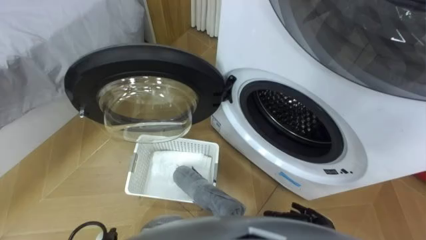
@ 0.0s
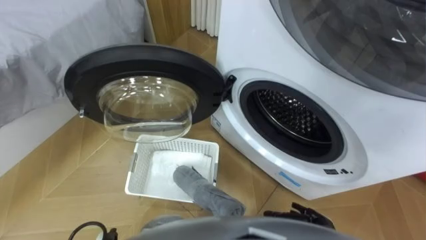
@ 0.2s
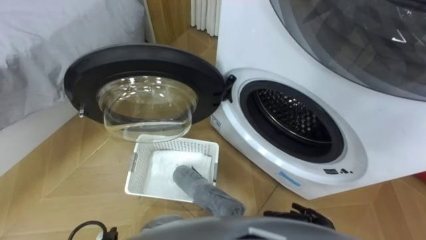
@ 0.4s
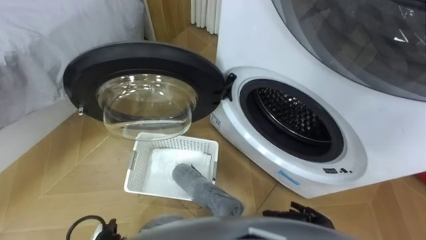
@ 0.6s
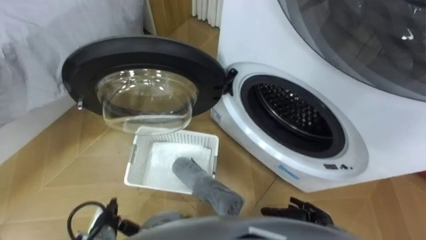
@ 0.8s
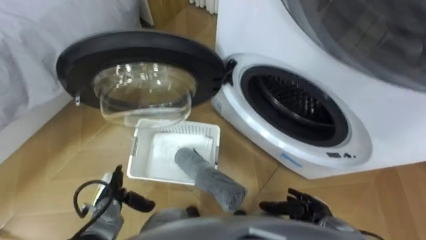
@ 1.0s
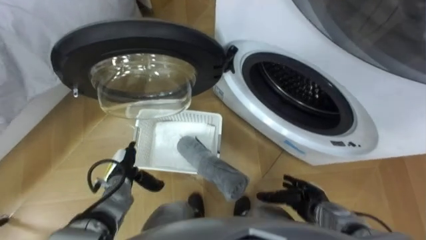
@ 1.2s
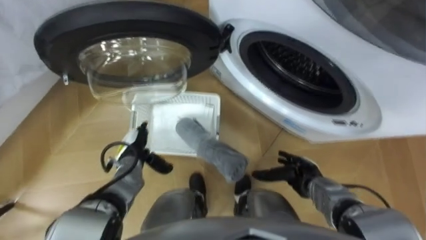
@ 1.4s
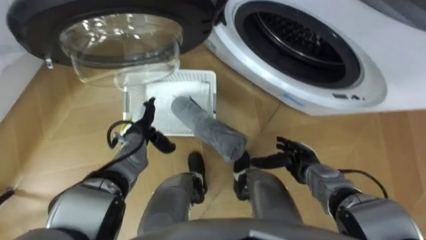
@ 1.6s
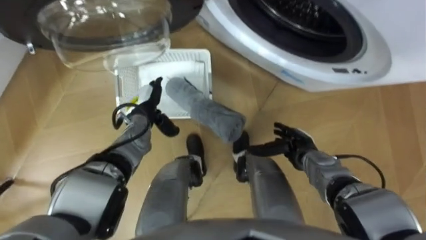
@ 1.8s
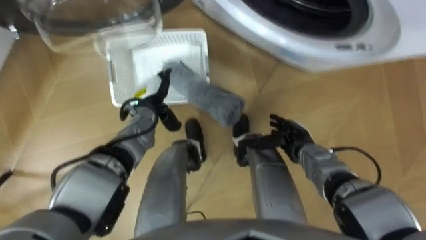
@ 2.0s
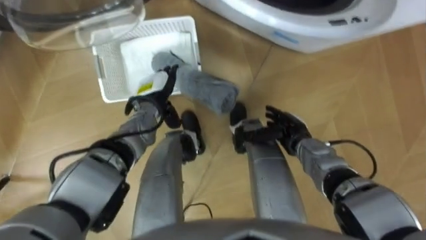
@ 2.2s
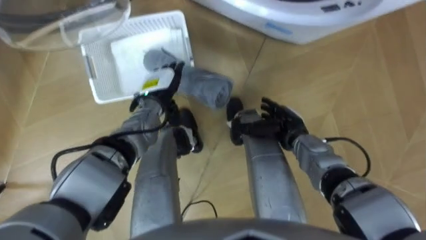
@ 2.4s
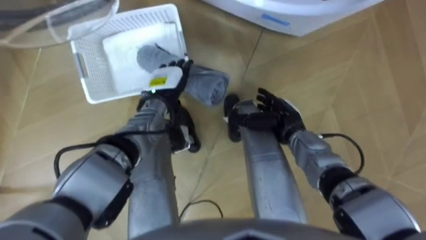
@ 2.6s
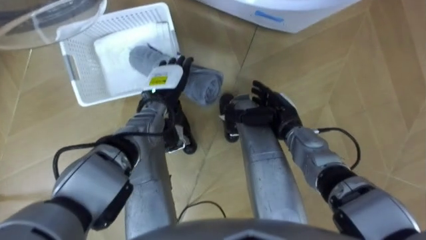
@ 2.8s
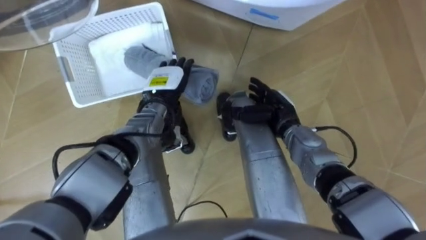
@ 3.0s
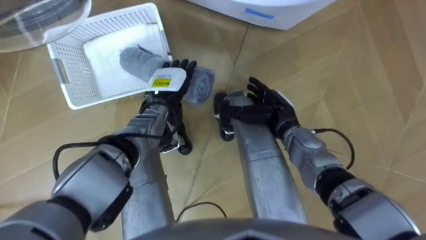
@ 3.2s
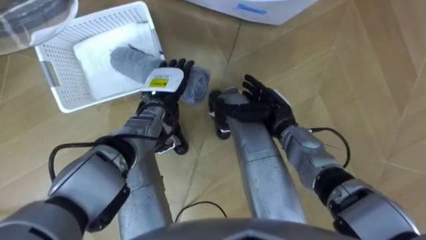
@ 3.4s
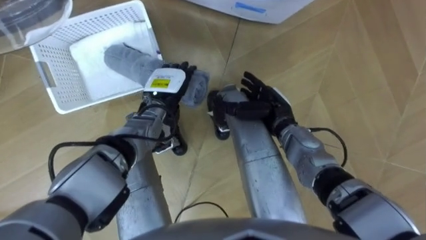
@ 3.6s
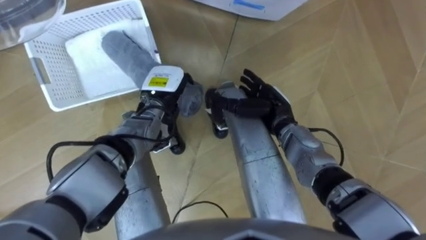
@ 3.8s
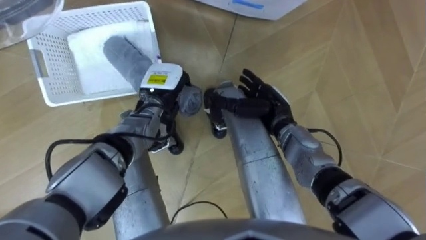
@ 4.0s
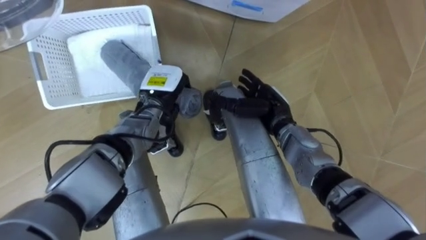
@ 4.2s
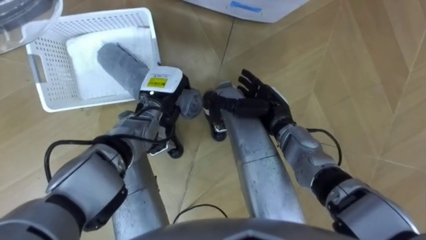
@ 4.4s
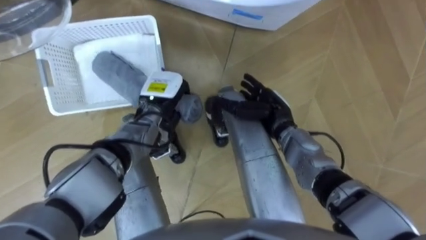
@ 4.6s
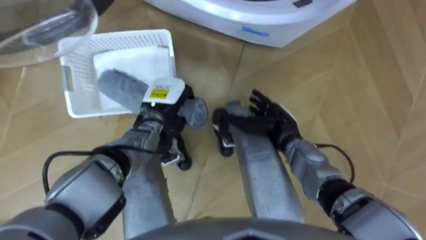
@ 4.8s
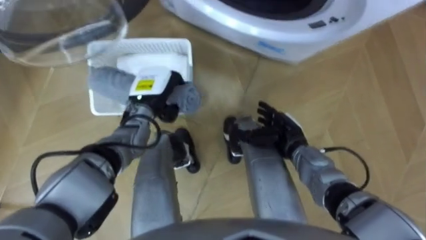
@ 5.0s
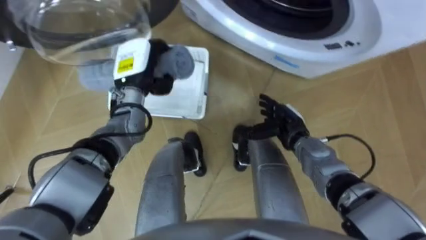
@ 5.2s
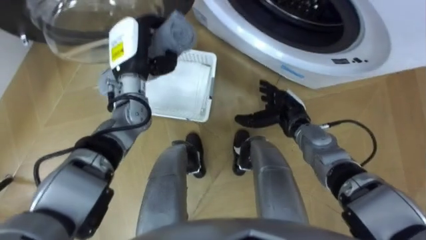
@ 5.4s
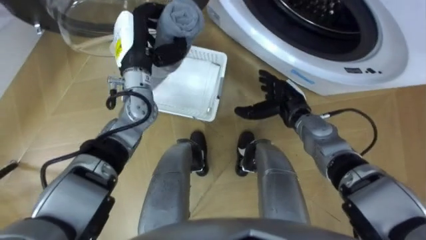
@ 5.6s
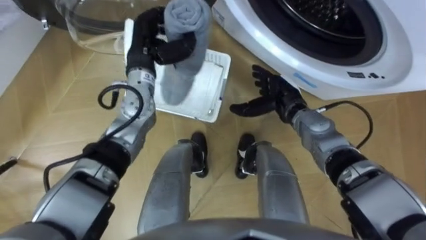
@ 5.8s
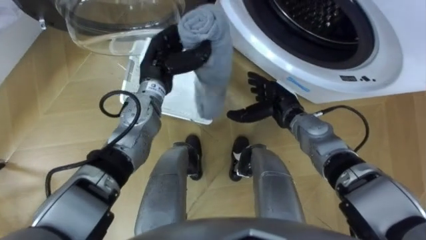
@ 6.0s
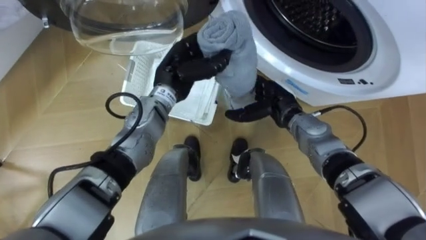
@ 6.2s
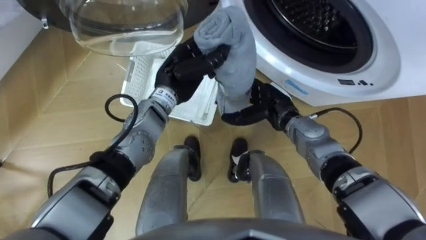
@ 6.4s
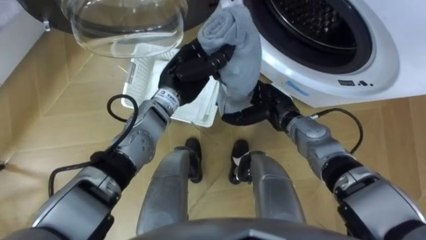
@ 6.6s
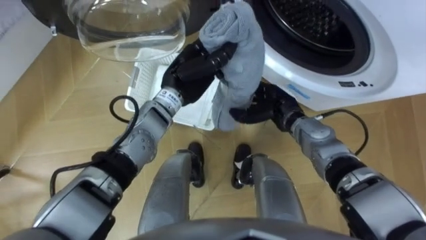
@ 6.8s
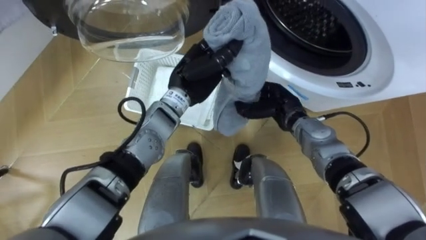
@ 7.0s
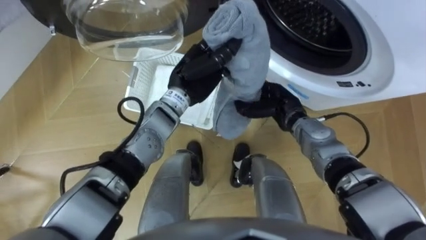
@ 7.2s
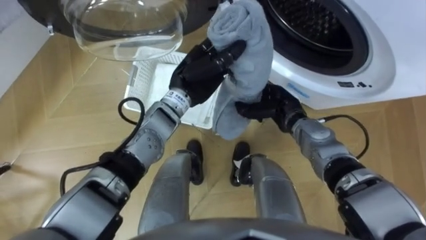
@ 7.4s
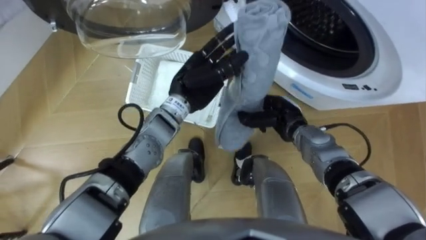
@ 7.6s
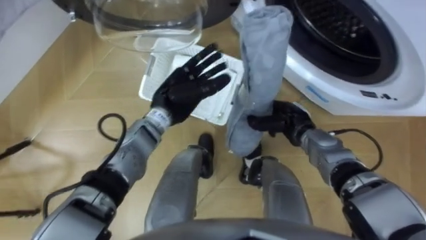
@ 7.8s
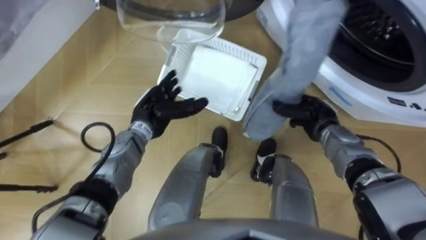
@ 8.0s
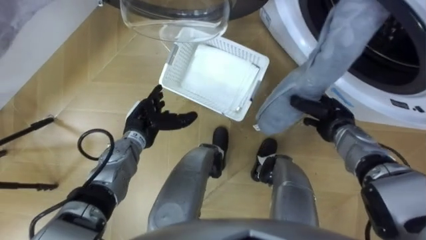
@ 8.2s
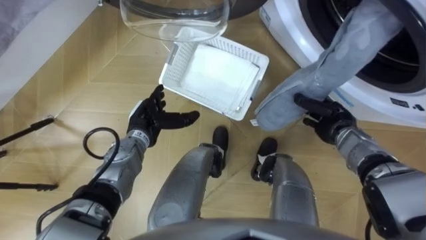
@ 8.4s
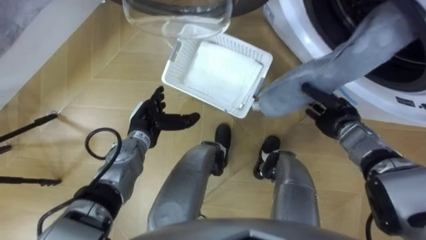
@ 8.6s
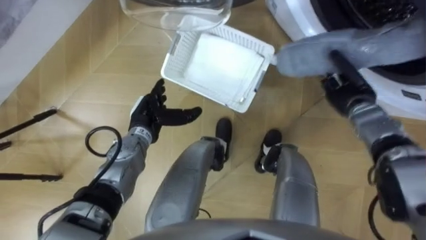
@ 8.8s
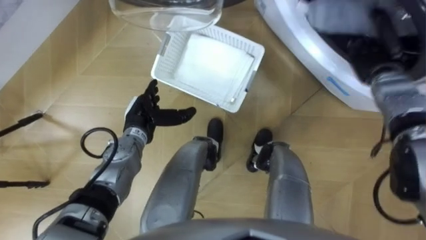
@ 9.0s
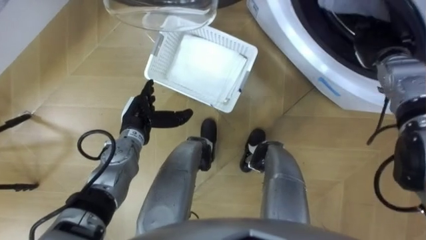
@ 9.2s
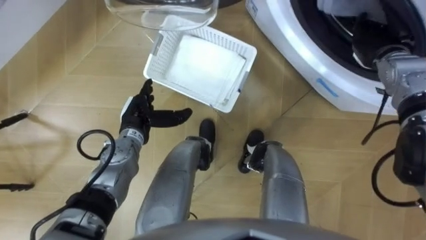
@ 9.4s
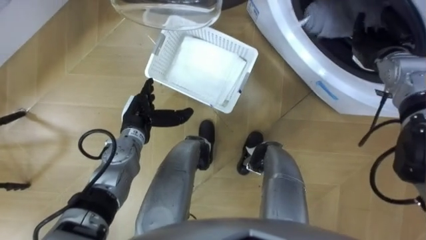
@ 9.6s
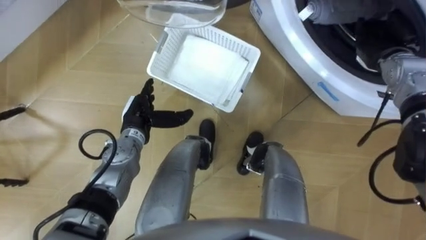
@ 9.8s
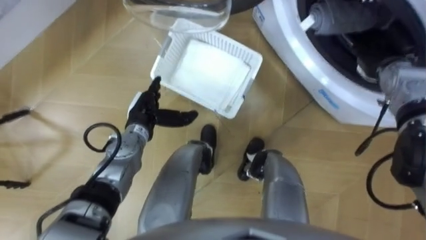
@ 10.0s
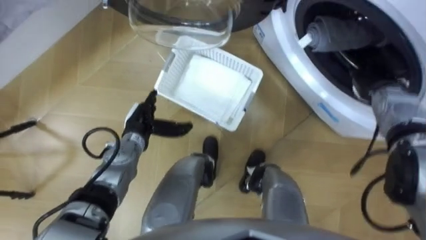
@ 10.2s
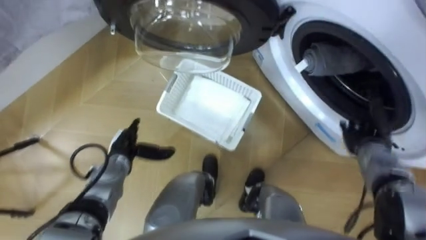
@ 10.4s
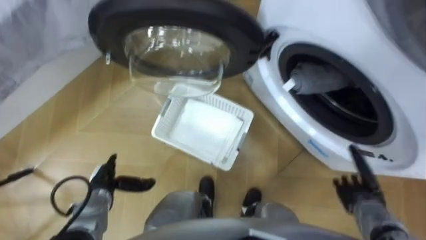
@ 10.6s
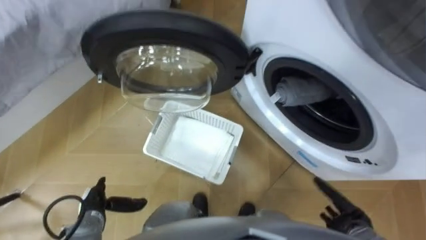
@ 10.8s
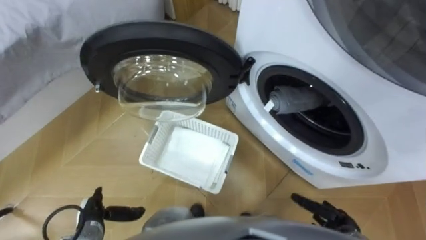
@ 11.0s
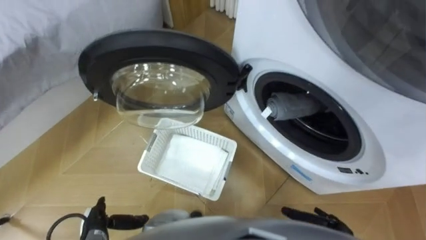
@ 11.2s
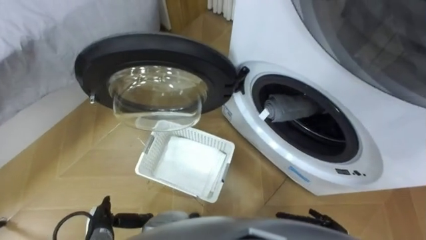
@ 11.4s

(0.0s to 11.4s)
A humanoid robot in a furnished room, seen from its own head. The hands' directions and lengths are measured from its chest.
Task of the whole recording: Take the towel from the basket and put it into the washing machine.
1.4s - 2.8s: The right hand is displaced forward, upward and to the left by about 15 cm; the left hand travels forward, upward and to the right by approximately 20 cm.
2.8s - 4.2s: The left hand closes up.
4.2s - 5.6s: The left hand goes about 10 cm upward.
5.6s - 7.2s: The right hand closes its fingers. Meanwhile the left hand goes approximately 10 cm to the right.
7.2s - 8.6s: The left hand moves downward, to the left and backward, roughly 20 cm, and opens its fingers. Meanwhile the right hand heads to the right, covering some 15 cm.
8.6s - 10.0s: The right hand is displaced upward, forward and to the right by about 15 cm, and opens.
10.0s - 11.4s: The left hand moves backward, downward and to the left, approximately 30 cm. The right hand goes approximately 40 cm backward and downward.

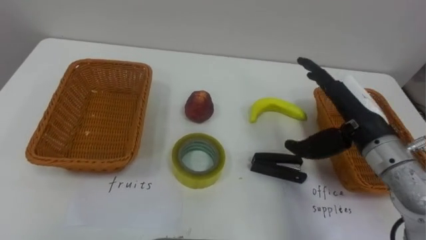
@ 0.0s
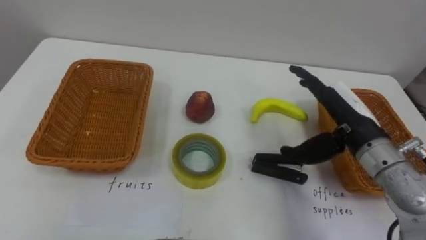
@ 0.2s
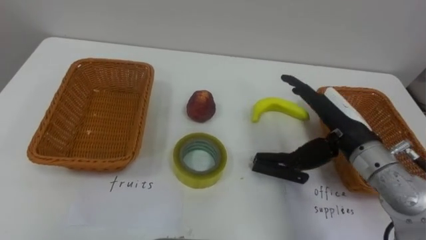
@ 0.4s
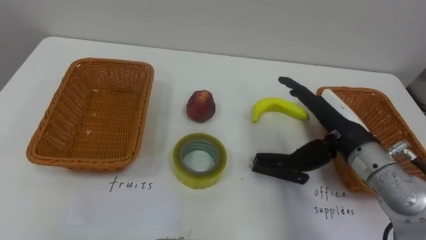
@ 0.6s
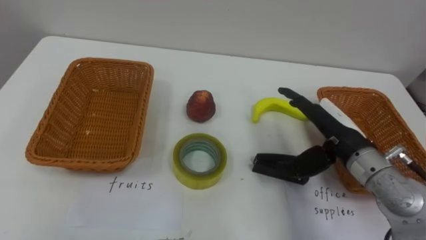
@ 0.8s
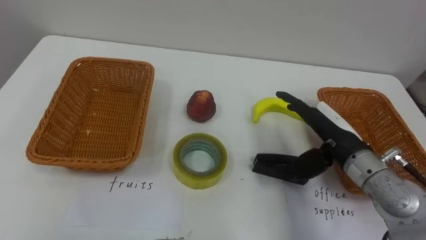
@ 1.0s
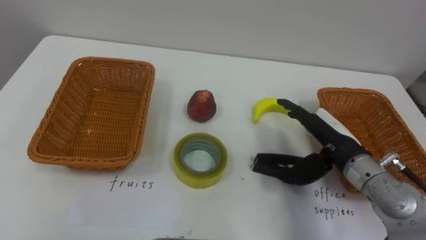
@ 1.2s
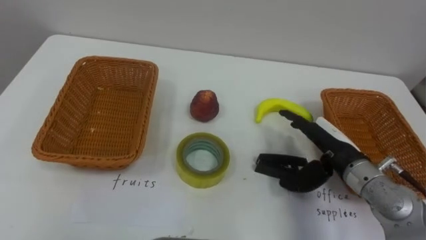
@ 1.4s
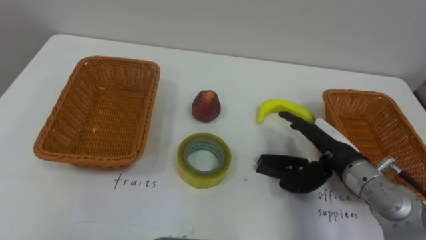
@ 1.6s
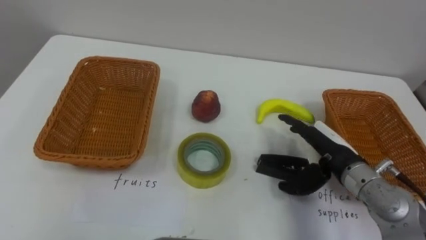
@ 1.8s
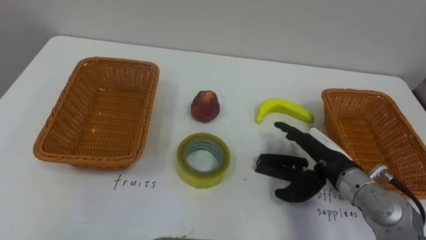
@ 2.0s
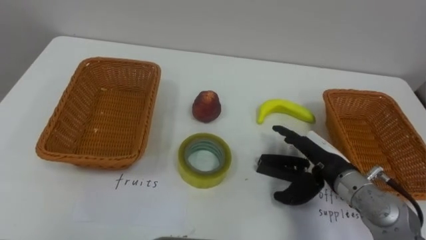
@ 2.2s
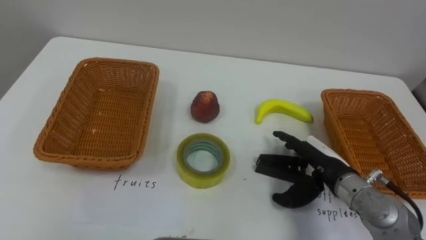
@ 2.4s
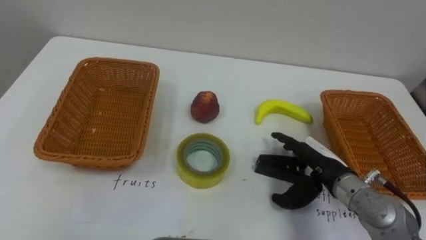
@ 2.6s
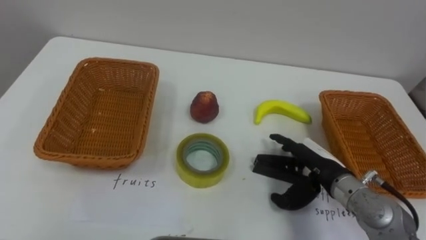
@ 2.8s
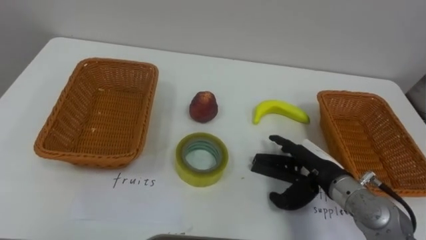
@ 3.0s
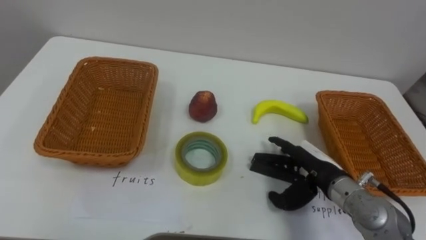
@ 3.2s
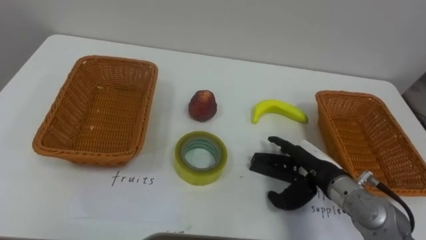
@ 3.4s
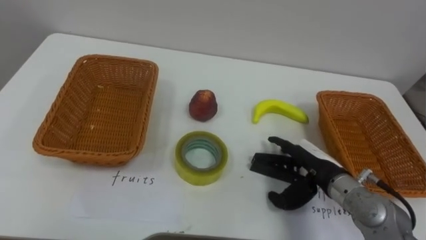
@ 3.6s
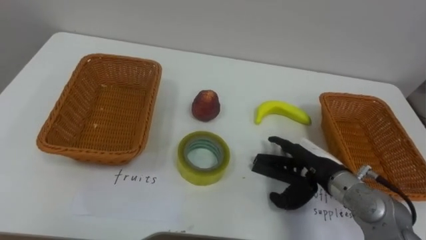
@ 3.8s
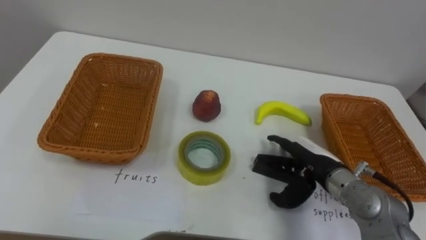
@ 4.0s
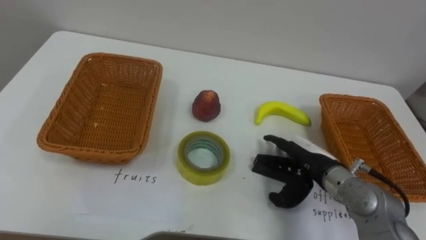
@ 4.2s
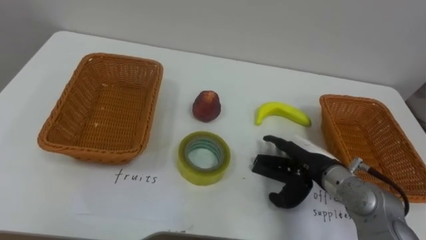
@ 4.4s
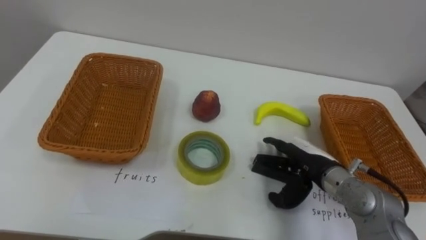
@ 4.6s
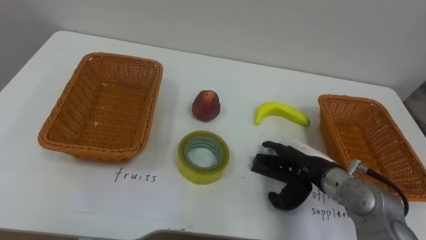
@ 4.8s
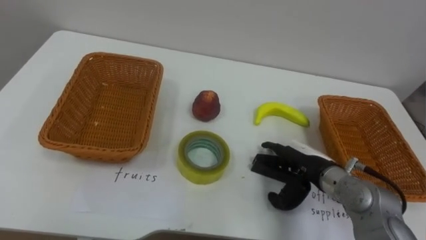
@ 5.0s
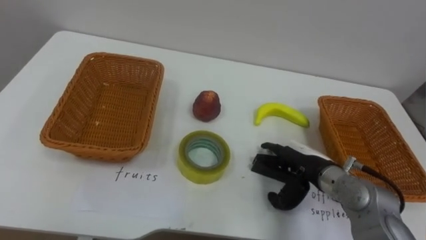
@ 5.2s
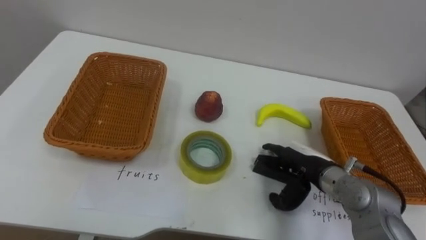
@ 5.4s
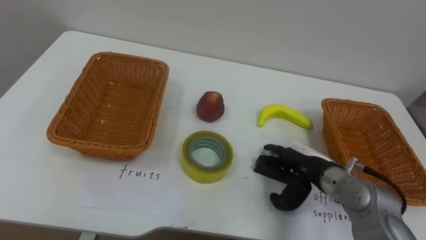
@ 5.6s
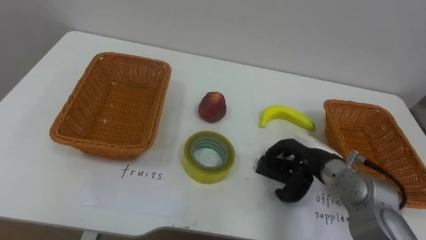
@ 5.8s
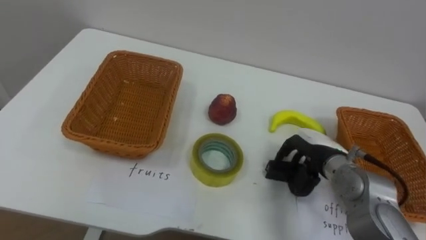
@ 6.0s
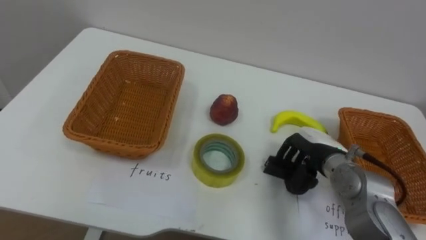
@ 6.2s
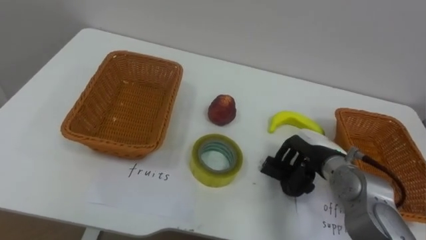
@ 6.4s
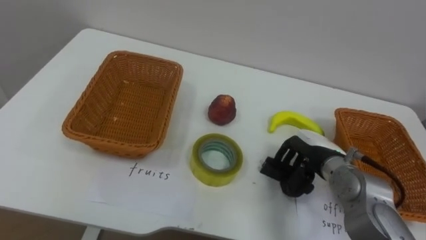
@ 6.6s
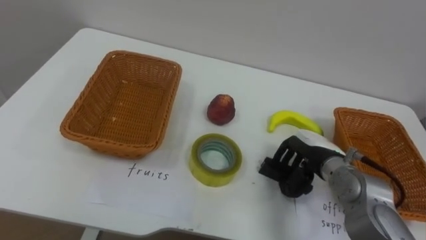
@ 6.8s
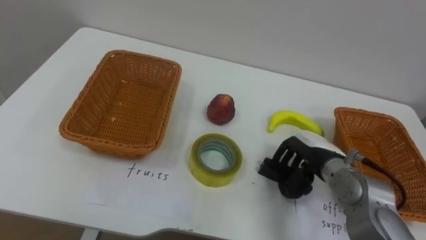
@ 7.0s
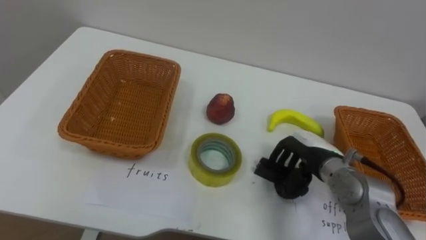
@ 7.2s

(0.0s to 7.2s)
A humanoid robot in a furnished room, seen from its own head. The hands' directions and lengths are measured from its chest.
Task of the whole recording: Separate the items on the table and place them into the two baskets.
0.0s - 1.4s: The right hand heads downward, covering roughly 10 cm.
5.8s - 7.2s: The right hand closes up.
